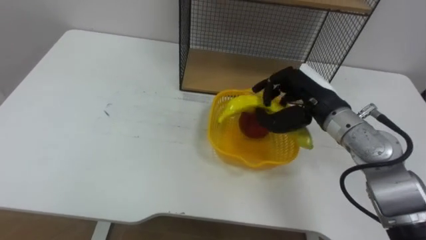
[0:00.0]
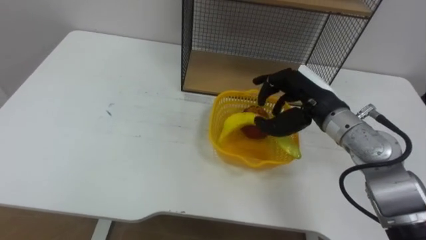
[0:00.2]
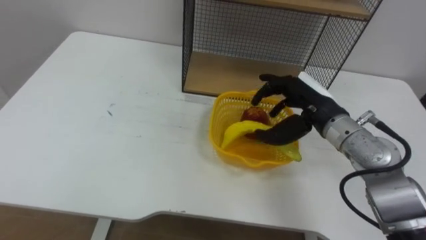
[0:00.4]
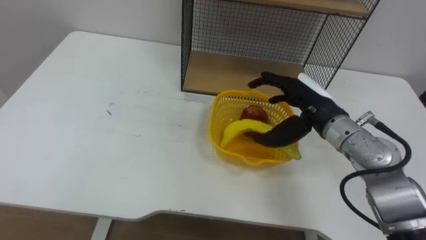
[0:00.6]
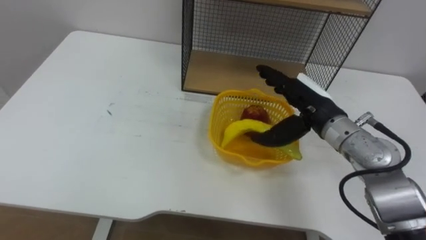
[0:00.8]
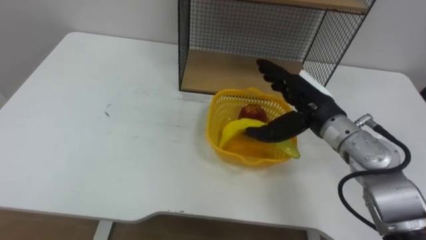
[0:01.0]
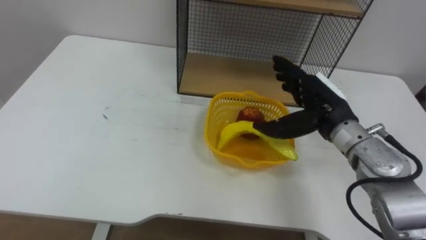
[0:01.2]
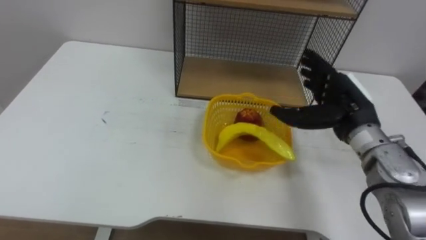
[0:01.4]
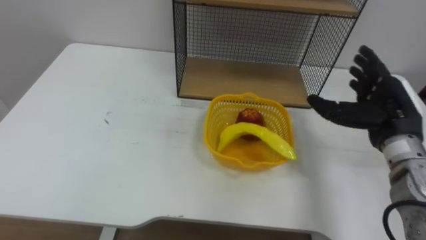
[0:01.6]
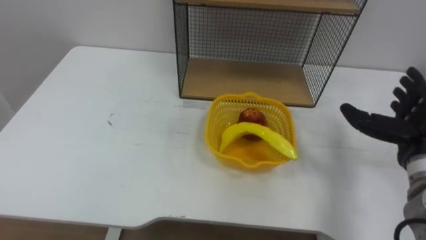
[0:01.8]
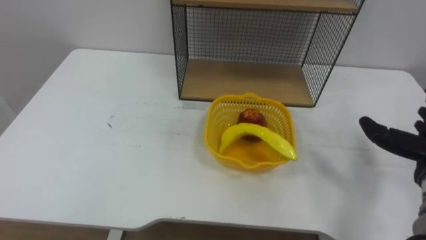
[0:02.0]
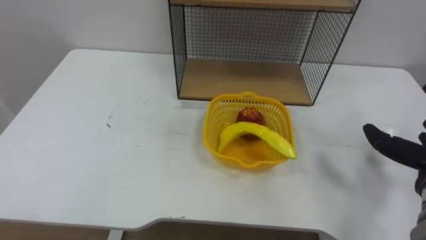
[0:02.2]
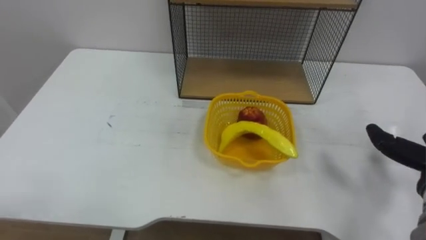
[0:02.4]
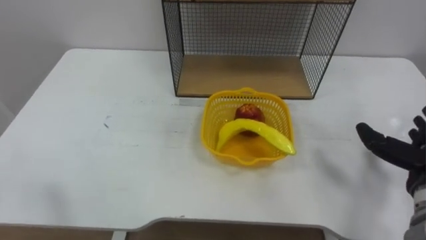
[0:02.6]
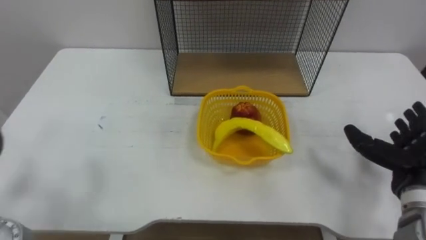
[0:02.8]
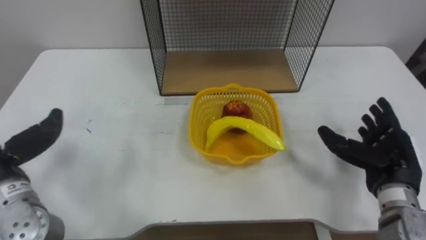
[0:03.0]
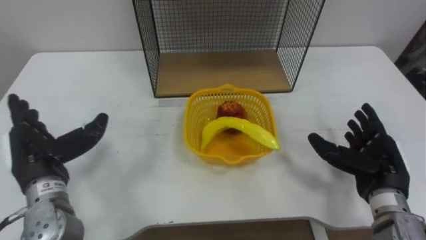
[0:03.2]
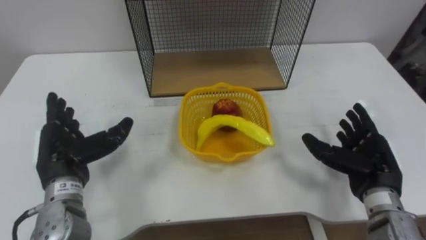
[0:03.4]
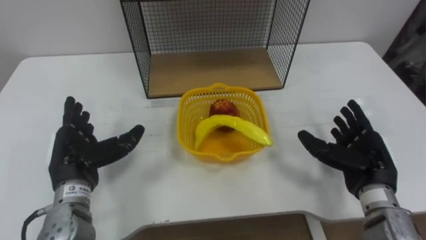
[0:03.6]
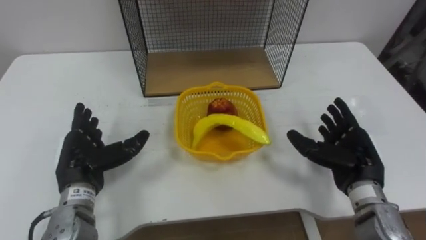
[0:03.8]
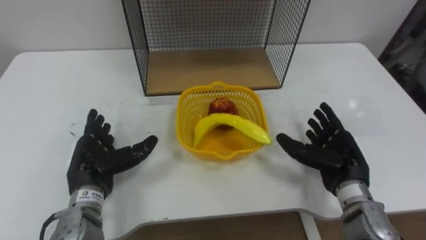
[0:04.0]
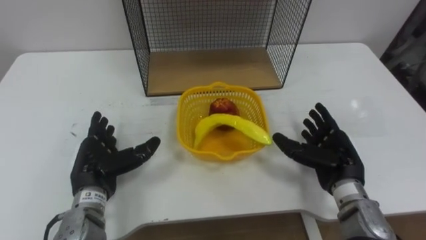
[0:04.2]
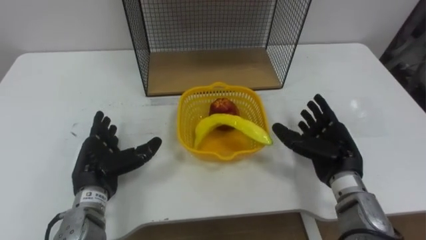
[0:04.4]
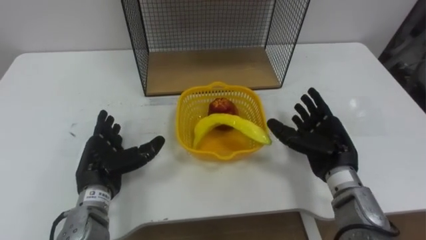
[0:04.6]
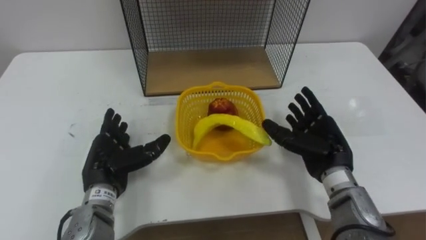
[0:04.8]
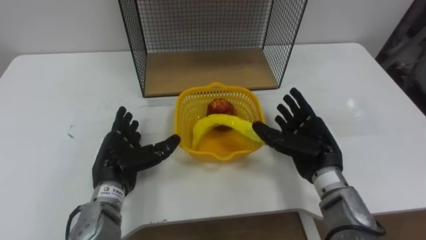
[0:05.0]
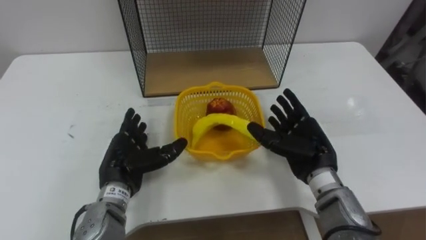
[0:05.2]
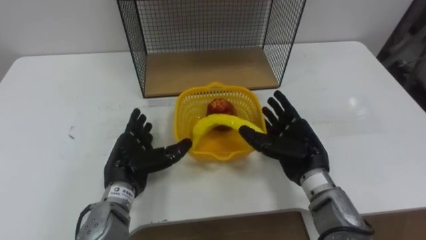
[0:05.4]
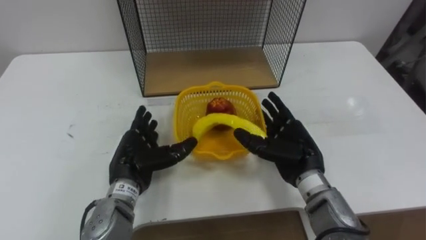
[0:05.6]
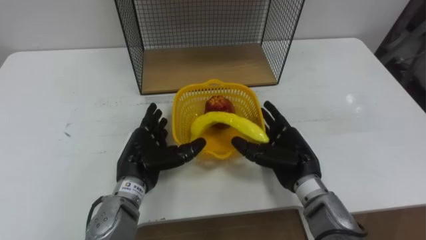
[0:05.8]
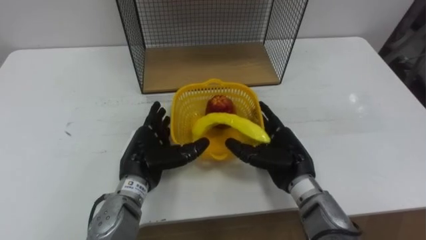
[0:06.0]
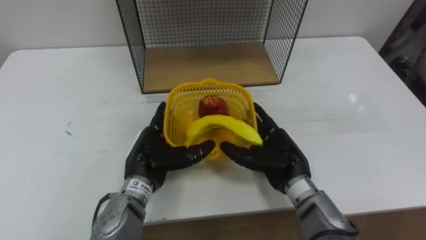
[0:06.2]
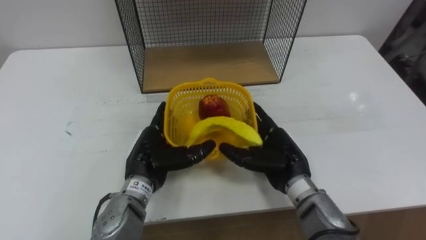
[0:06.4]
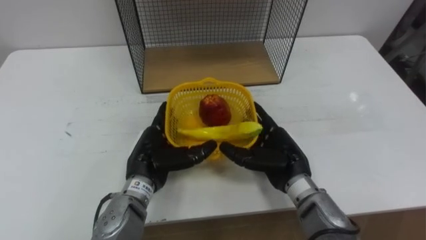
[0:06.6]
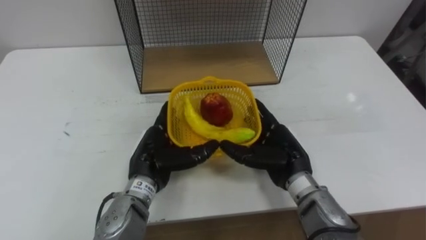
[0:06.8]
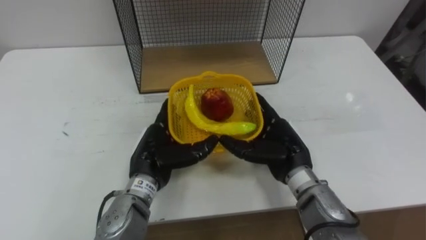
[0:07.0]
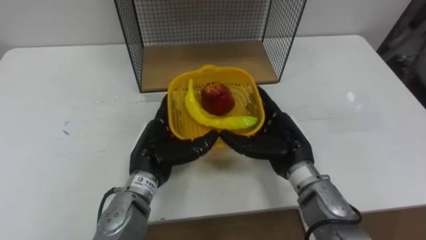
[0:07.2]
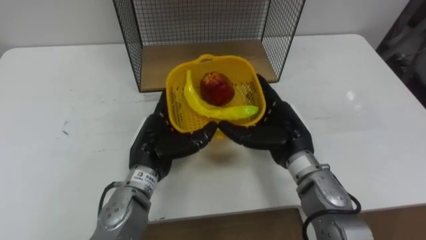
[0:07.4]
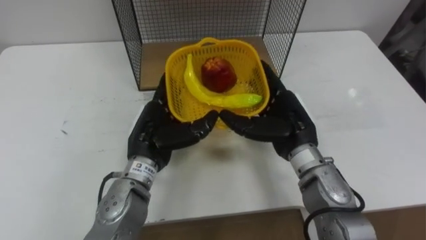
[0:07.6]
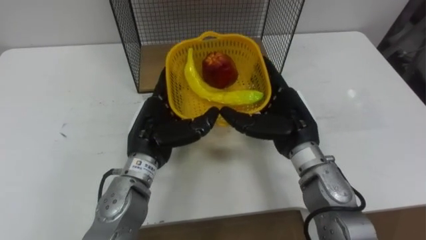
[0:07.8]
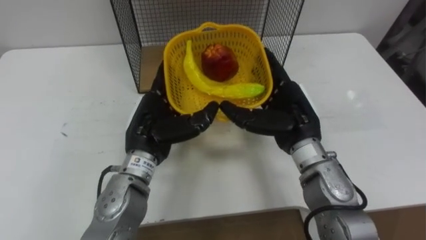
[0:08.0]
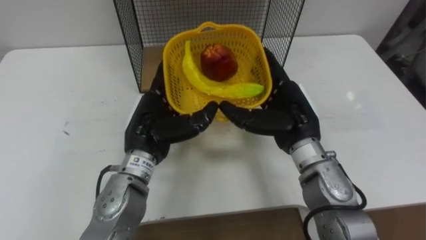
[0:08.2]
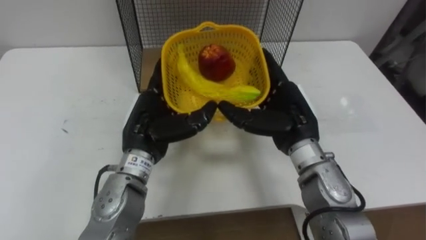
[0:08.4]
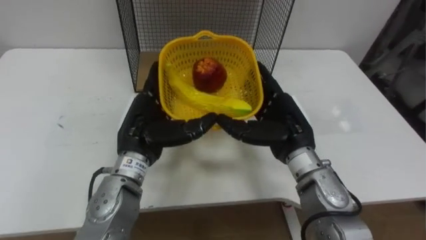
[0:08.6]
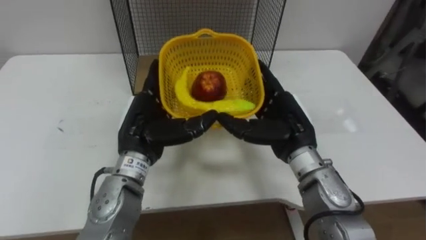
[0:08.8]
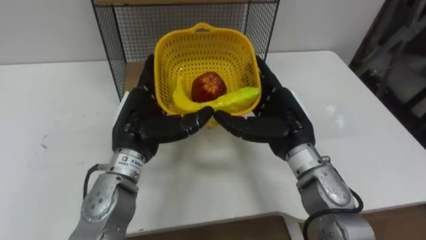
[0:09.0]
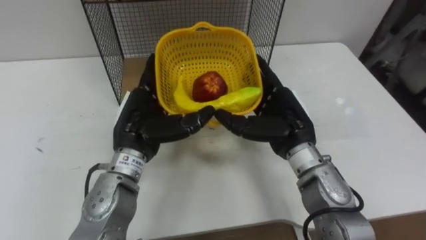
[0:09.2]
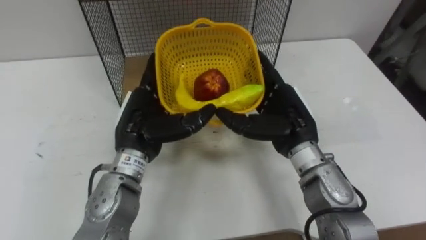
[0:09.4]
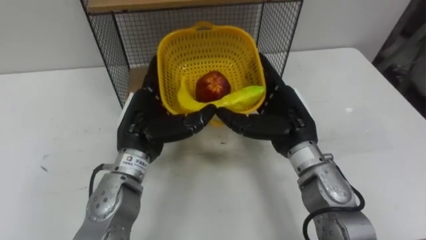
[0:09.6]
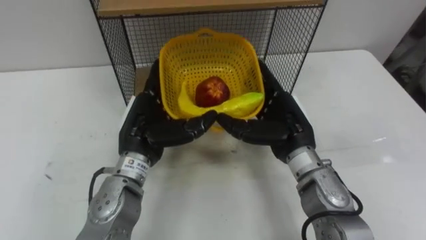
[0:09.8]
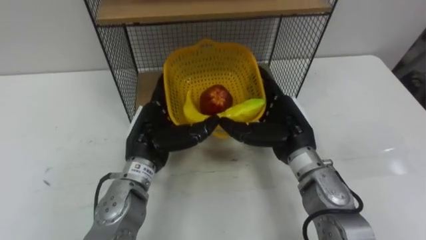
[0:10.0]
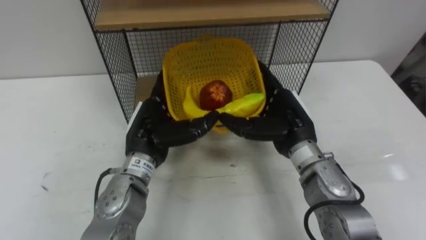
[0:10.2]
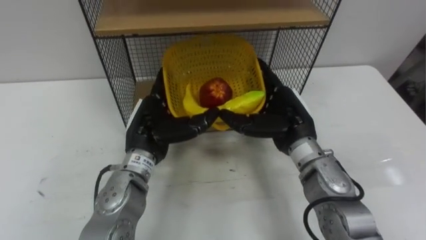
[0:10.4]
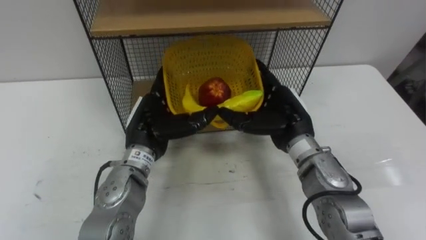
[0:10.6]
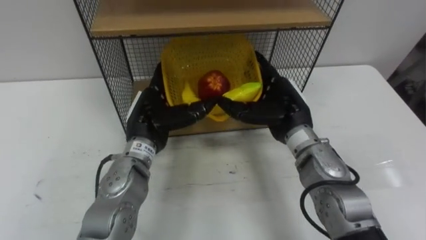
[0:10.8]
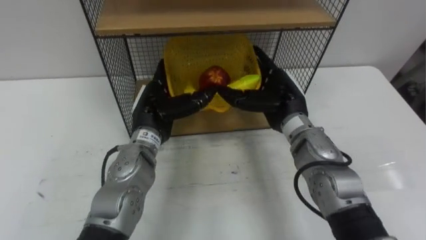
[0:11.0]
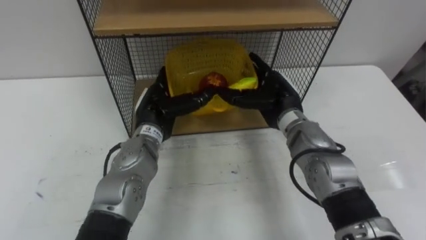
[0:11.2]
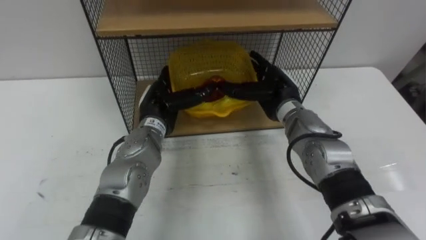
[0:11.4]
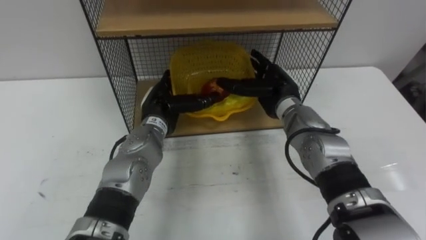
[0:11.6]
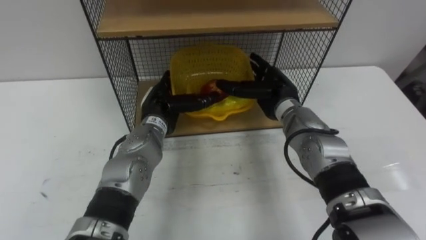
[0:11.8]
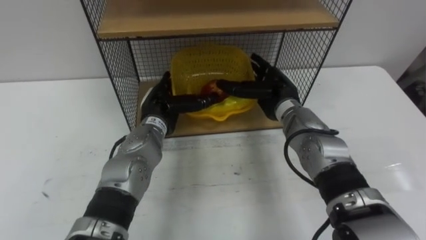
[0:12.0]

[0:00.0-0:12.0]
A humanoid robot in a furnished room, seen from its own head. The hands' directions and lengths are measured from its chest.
Task of the whole recording: Put the fruit on the table into the basket, then place the basket on the shelf.
0:00.0 to 0:01.6: The right hand is displaced to the right by some 10 cm, and opens up.
0:03.0 to 0:04.4: The right hand goes some 10 cm to the left.
0:04.4 to 0:06.0: The right hand shifts about 10 cm to the left; the left hand shifts about 10 cm to the right.
0:06.0 to 0:07.6: Both hands travel together upward, roughly 5 cm.
0:10.4 to 0:12.0: Both hands move forward, some 10 cm.

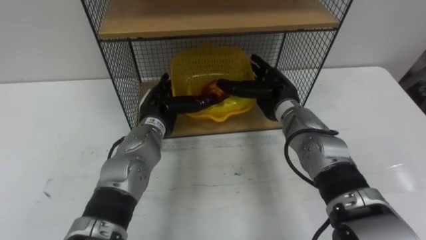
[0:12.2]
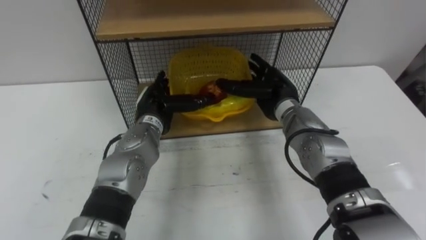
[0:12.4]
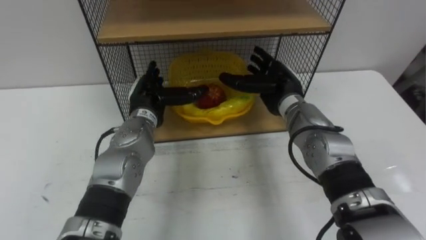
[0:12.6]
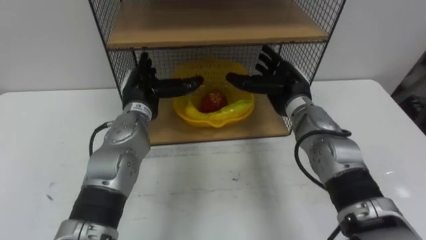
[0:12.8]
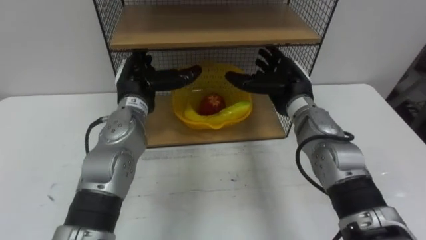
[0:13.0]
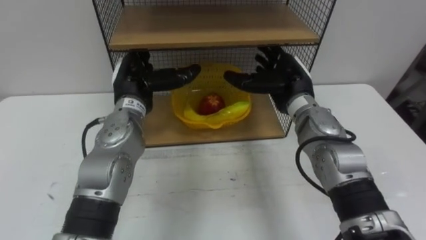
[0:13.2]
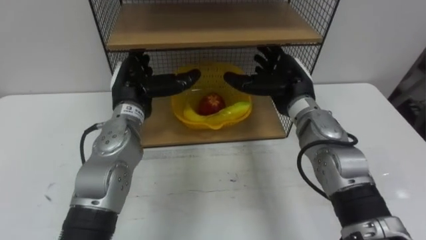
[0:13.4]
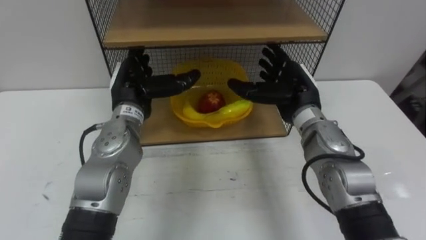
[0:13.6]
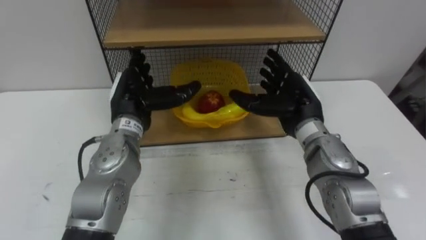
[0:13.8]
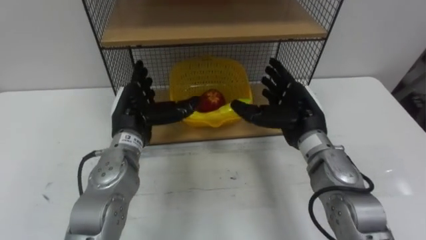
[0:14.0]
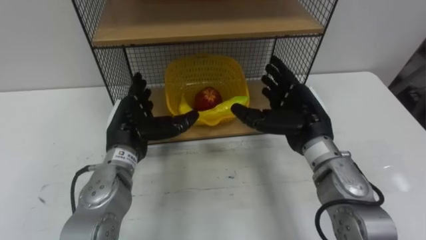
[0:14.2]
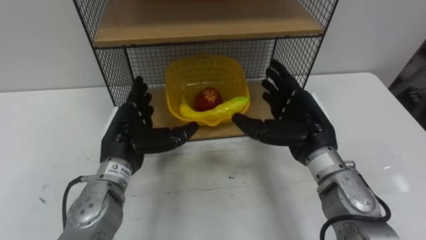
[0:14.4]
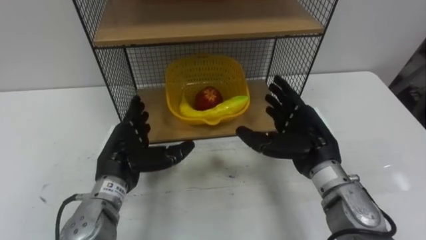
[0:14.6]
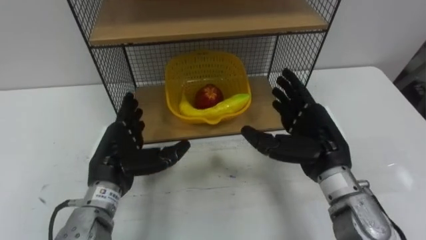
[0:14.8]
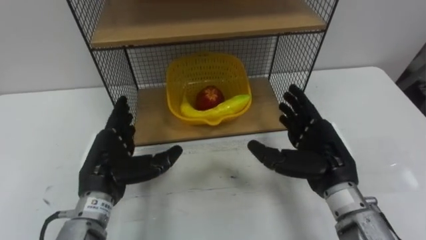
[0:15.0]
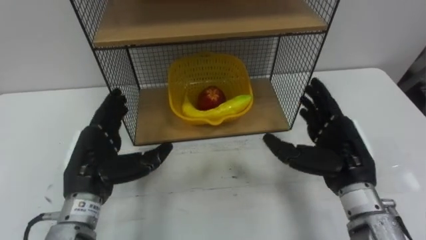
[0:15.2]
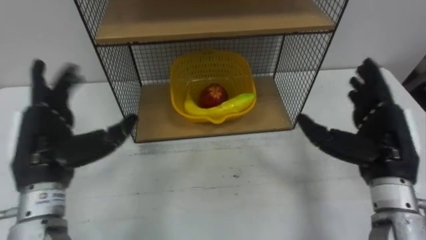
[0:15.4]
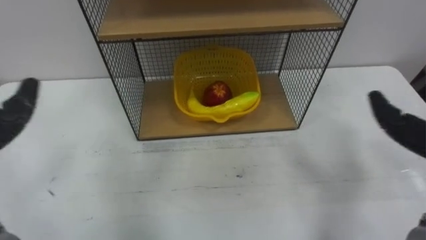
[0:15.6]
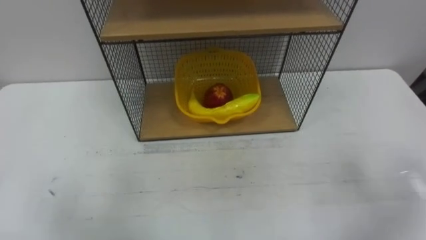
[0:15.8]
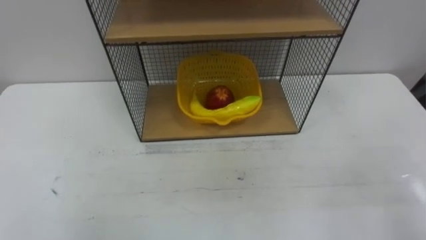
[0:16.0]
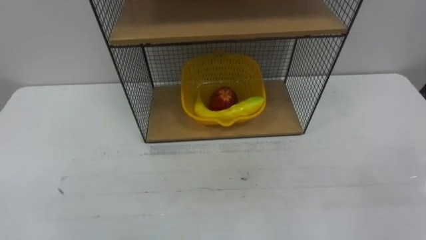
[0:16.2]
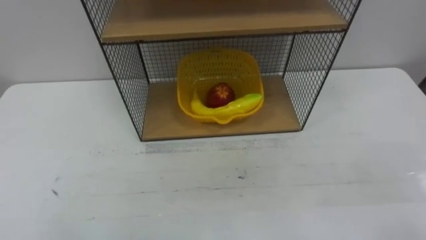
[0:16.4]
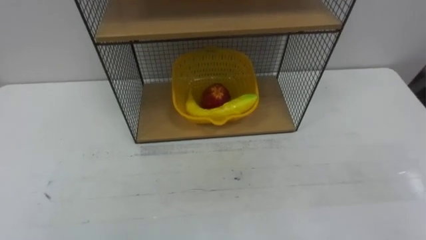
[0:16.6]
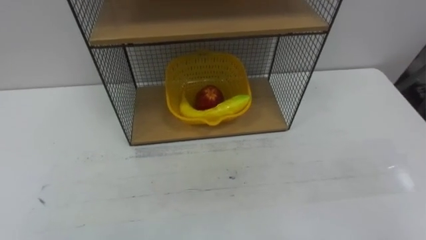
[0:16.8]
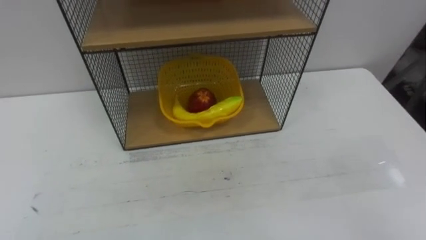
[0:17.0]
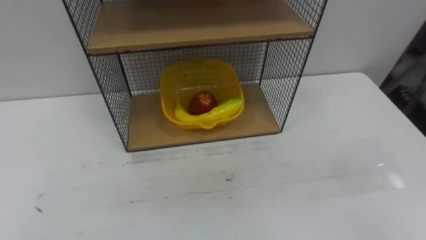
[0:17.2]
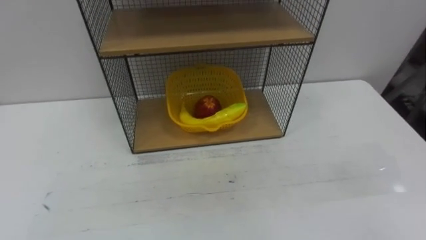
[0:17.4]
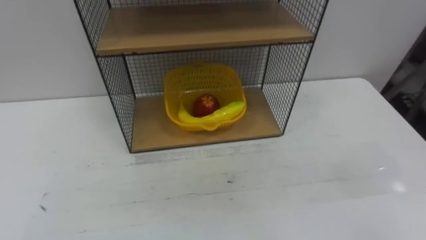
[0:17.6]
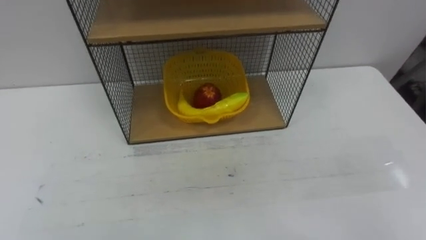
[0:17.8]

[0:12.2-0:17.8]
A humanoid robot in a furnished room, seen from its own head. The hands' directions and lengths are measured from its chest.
Task of the whole recording: Put the fruit on the table into the basket, then place the basket on the shelf.
0:12.2 to 0:13.6: The left hand shifts some 5 cm upward, while the right hand ends up about 5 cm from where it was.
0:13.6 to 0:15.0: The right hand heads backward, covering some 10 cm, while the left hand goes some 15 cm backward and downward.
